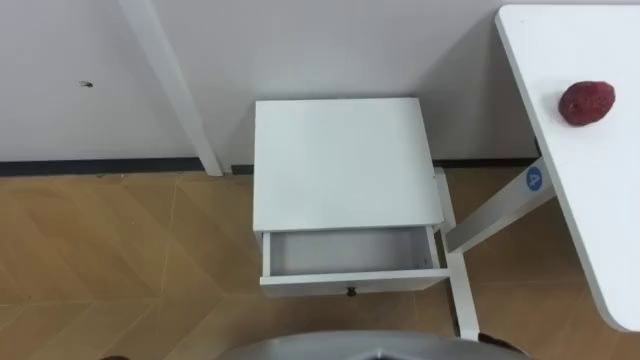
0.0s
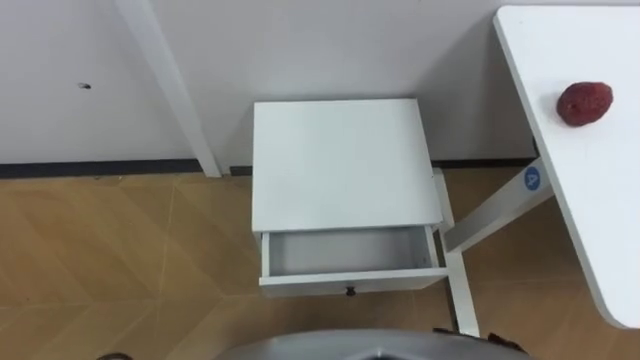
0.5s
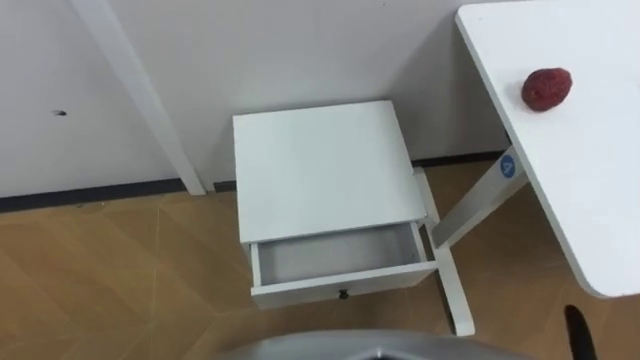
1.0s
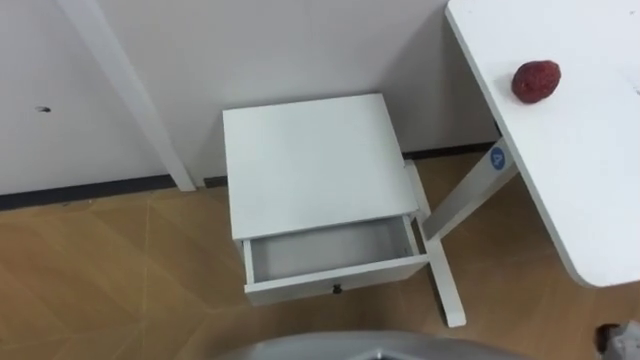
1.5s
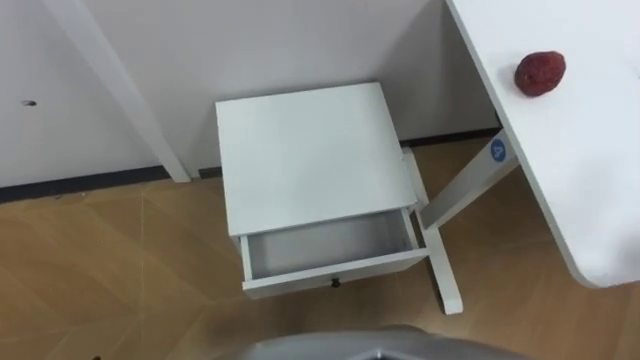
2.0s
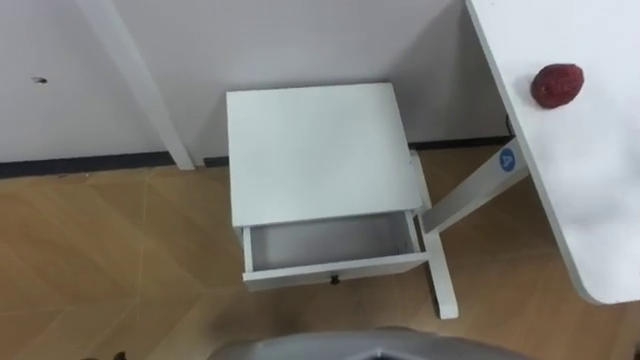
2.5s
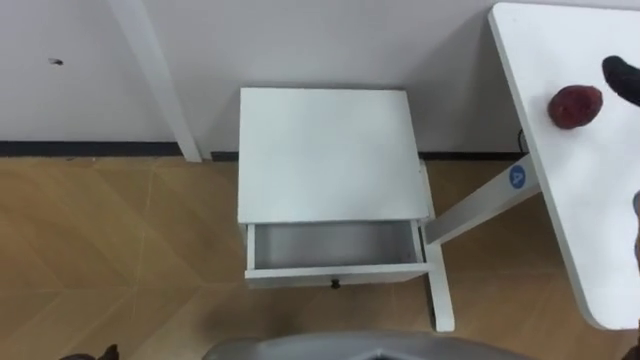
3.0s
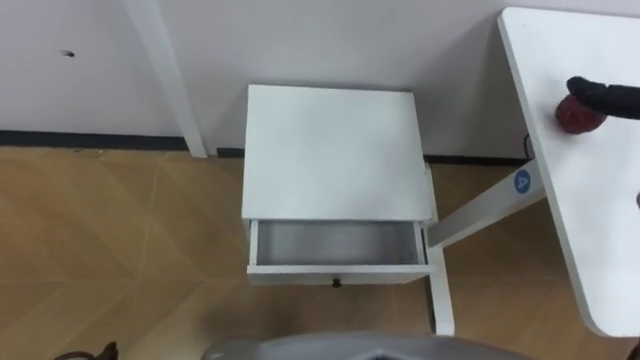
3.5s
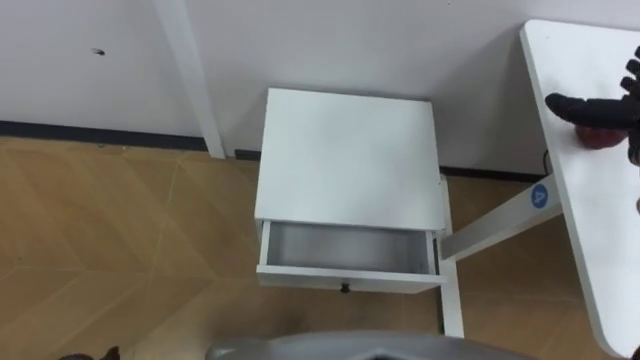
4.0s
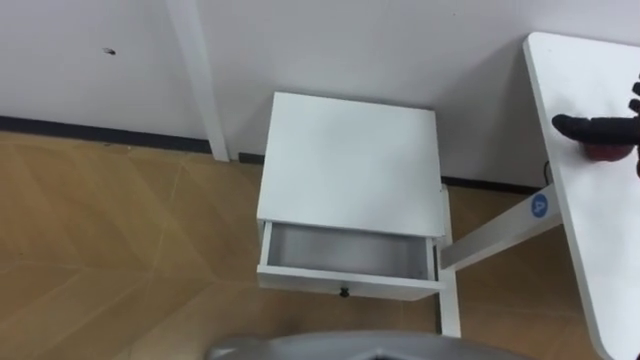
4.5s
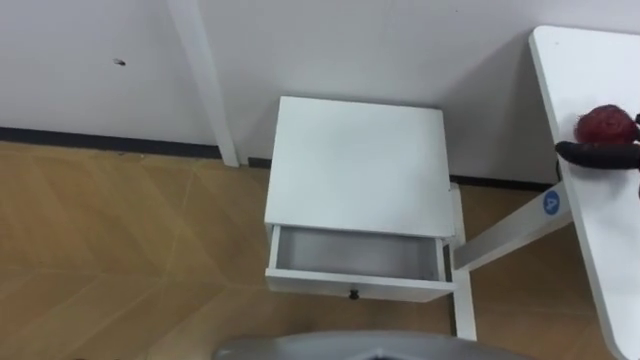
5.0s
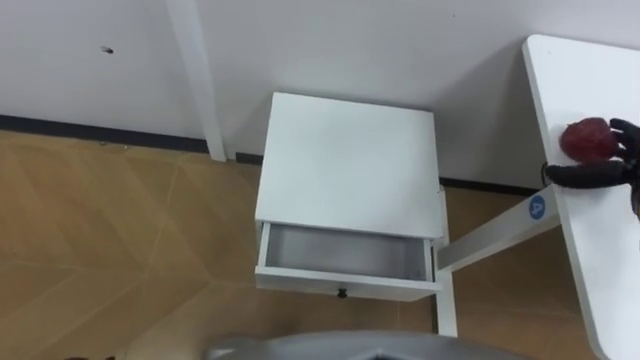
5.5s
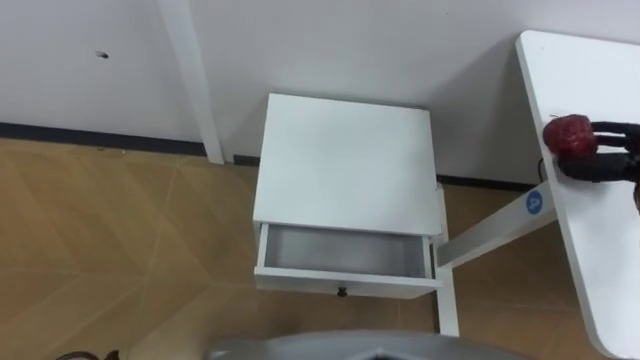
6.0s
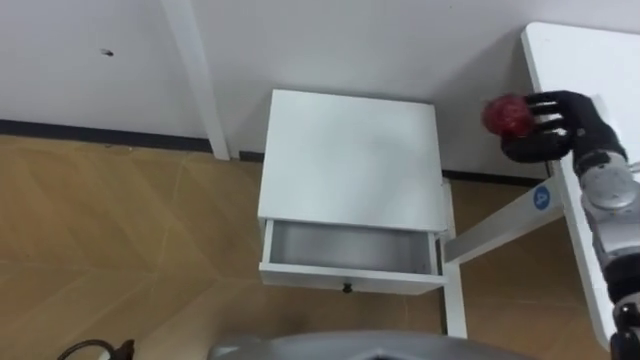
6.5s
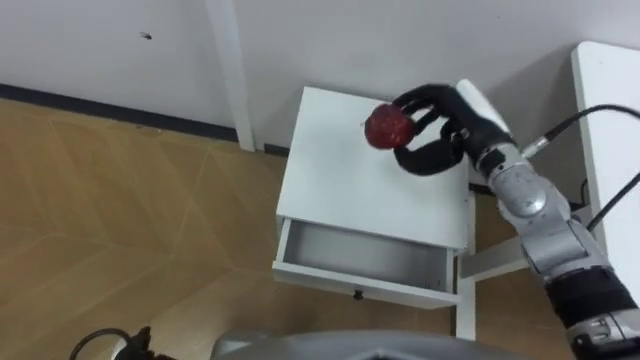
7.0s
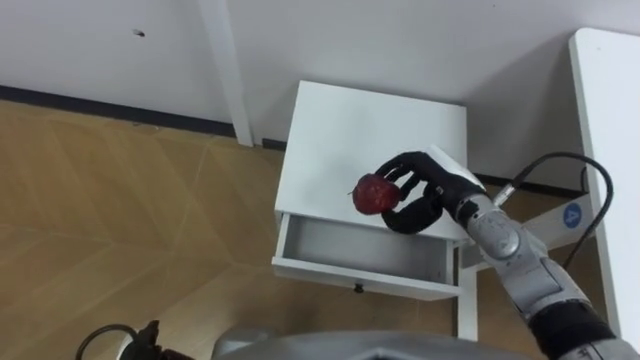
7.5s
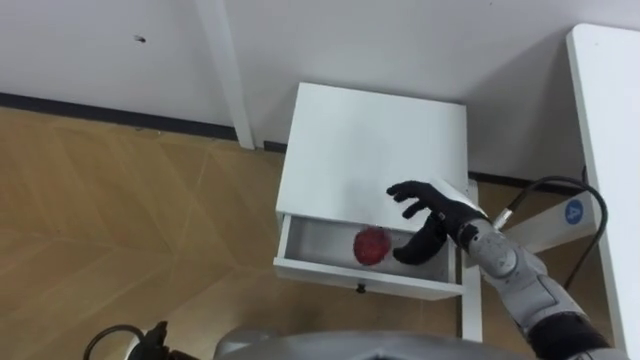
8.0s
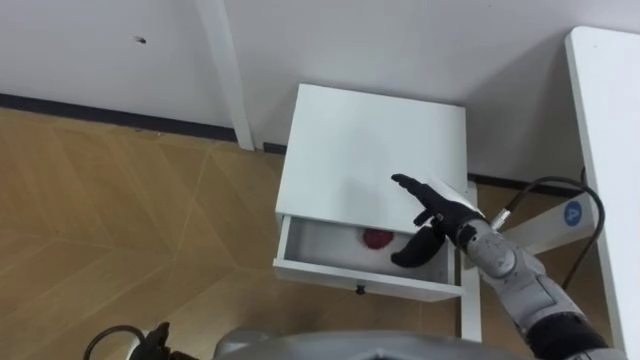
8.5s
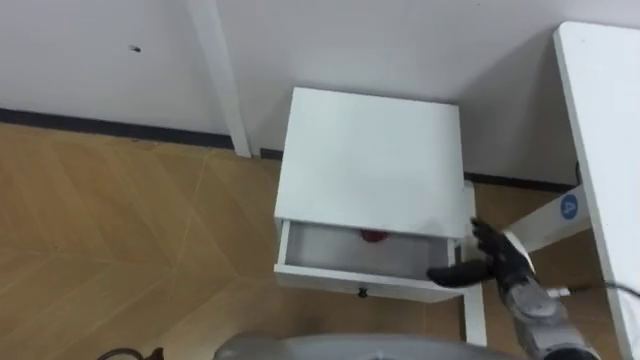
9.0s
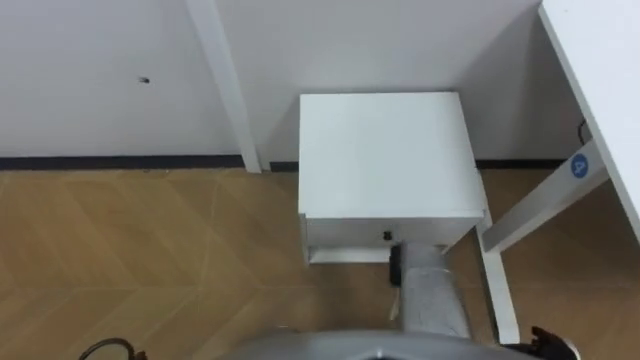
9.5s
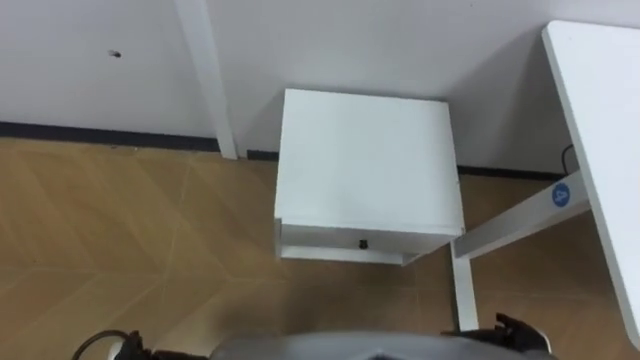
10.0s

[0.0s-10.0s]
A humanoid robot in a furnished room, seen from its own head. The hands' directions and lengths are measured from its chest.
Task of the whole recording: Pick up the apple from the table, put it in the drawer, and close the drawer with leg.
8.0s to 10.0s: The right hand moves backward, downward and to the right, roughly 25 cm.

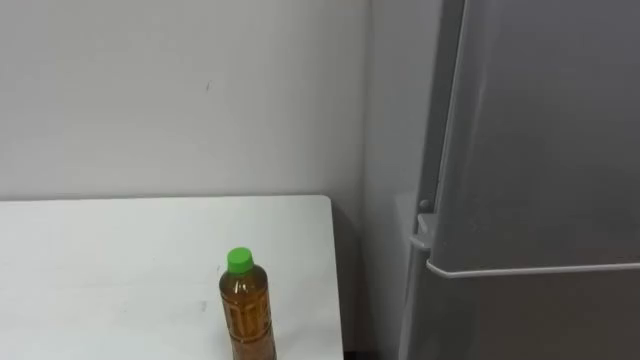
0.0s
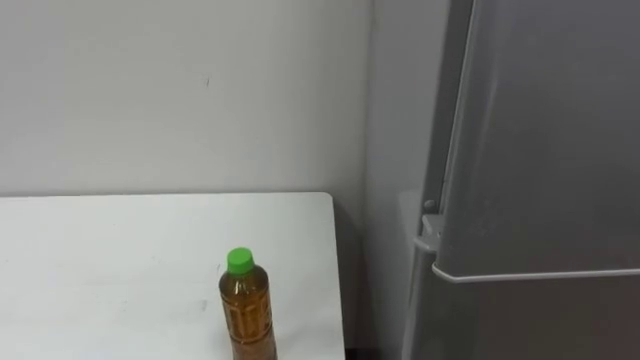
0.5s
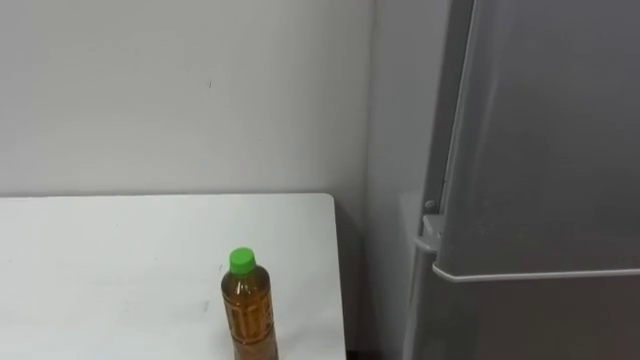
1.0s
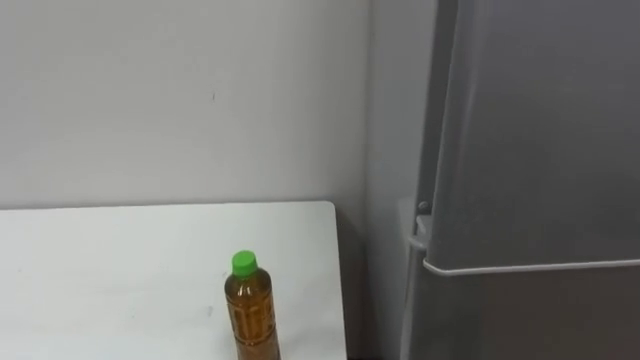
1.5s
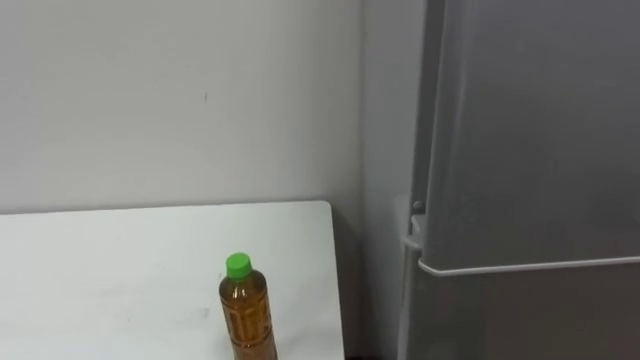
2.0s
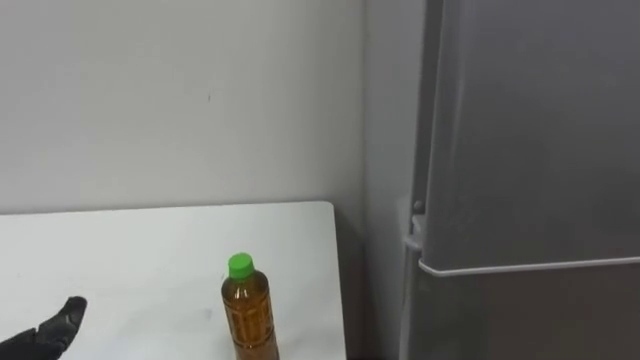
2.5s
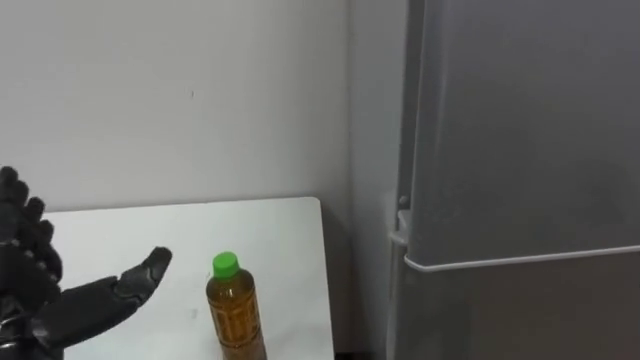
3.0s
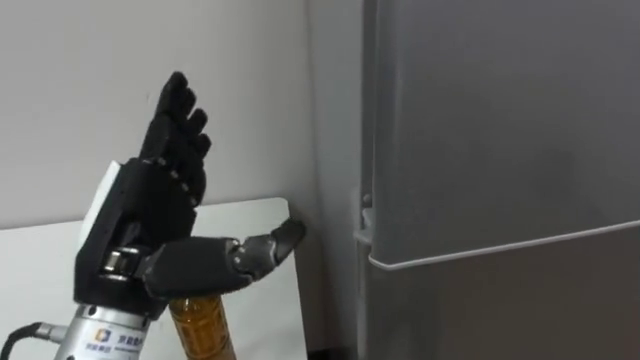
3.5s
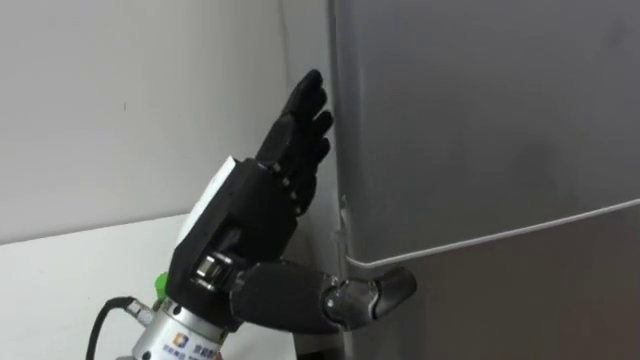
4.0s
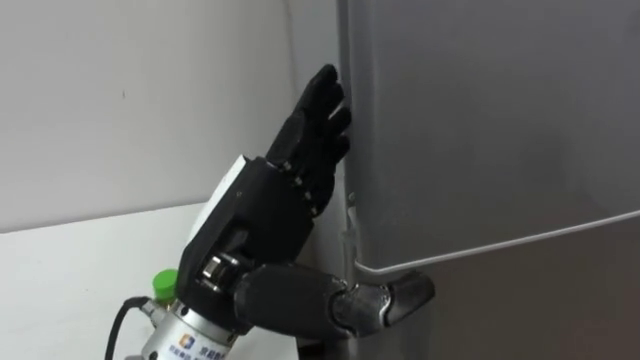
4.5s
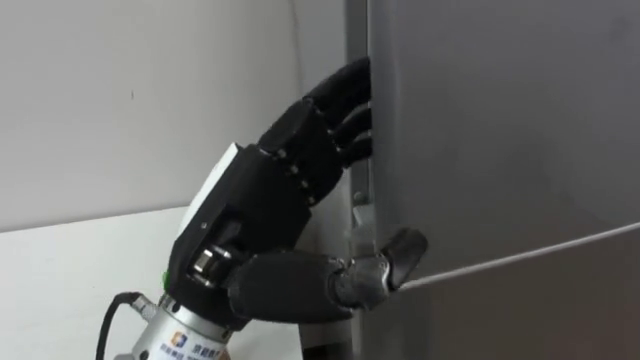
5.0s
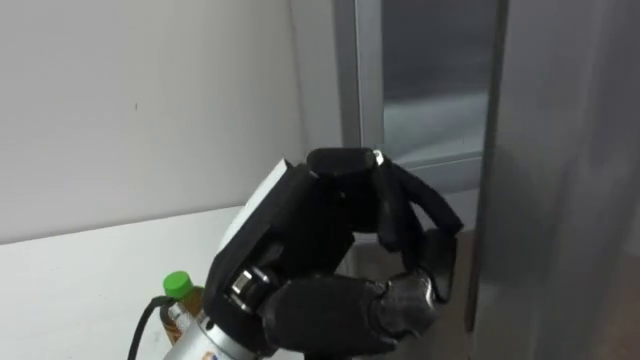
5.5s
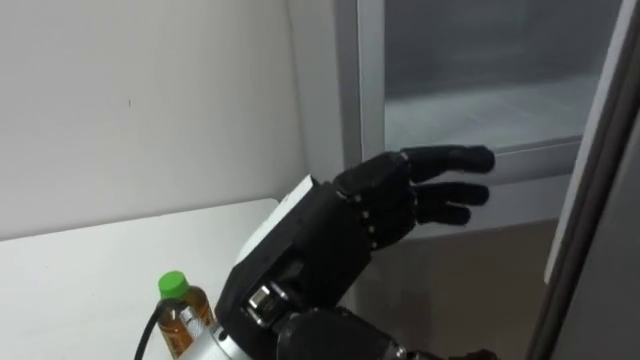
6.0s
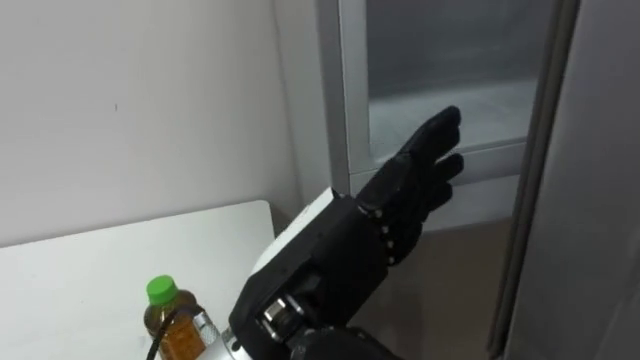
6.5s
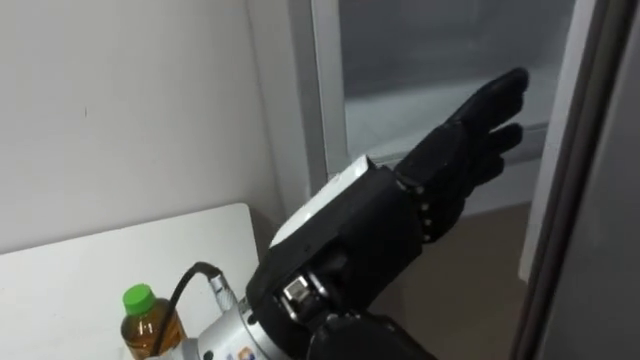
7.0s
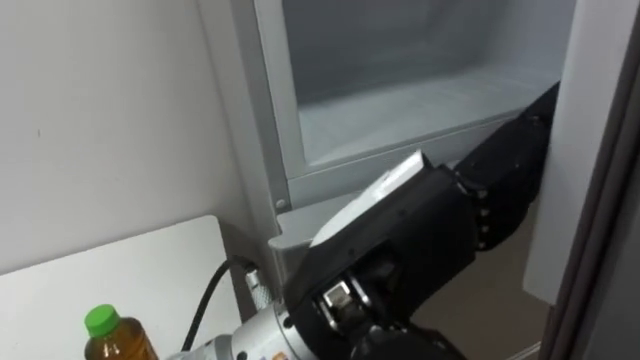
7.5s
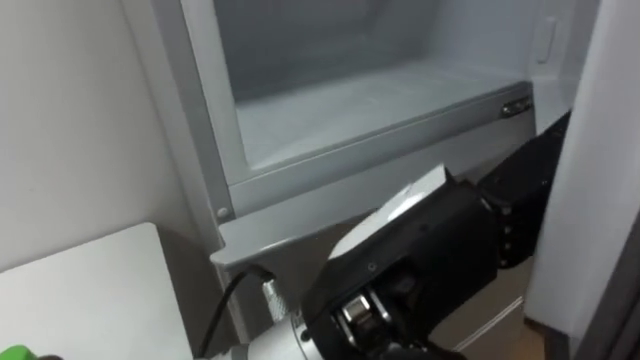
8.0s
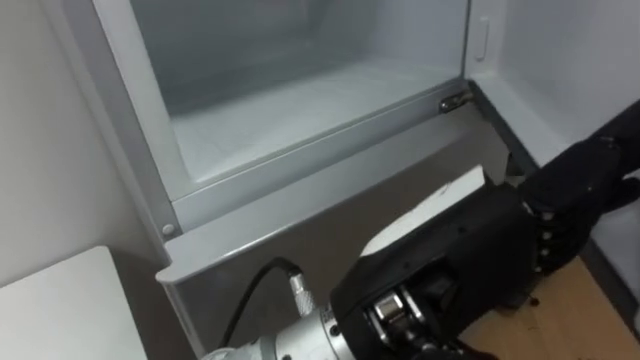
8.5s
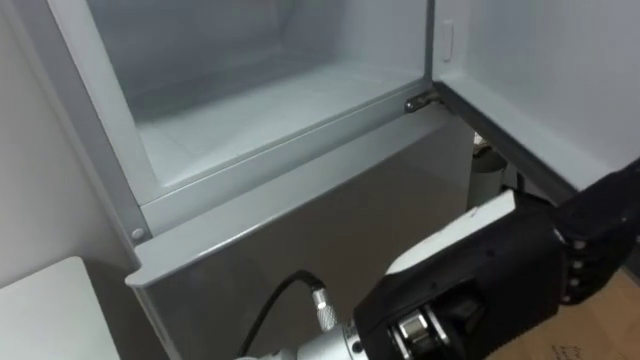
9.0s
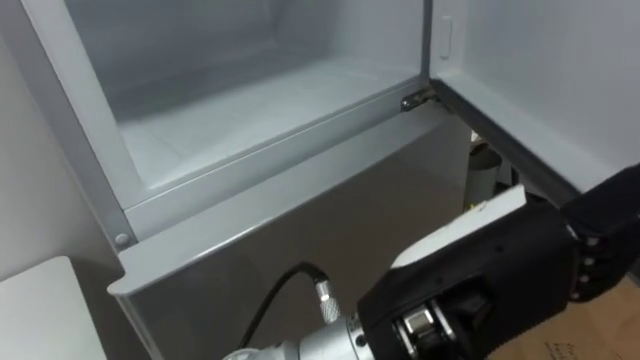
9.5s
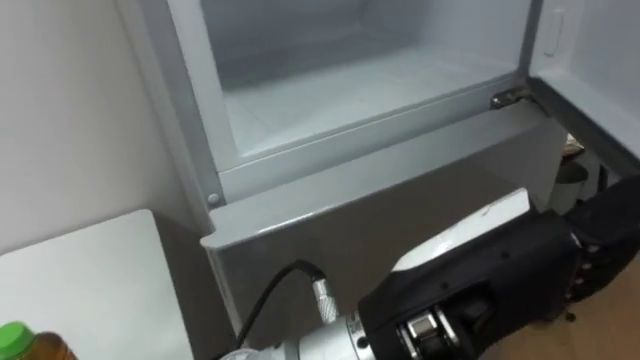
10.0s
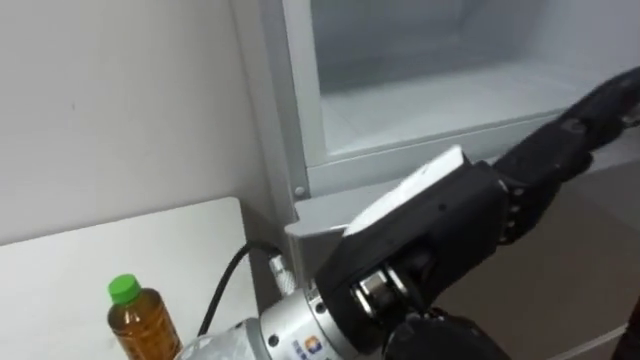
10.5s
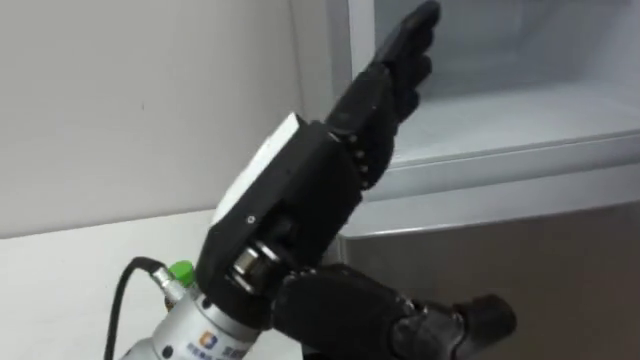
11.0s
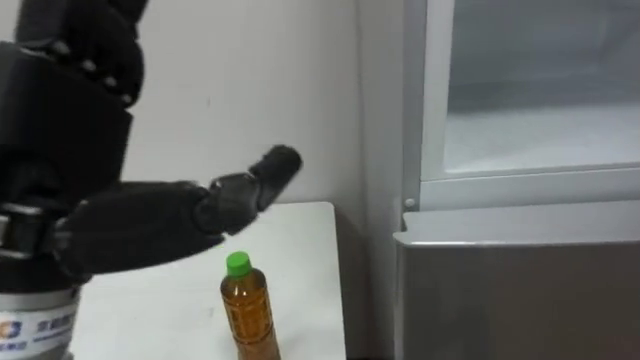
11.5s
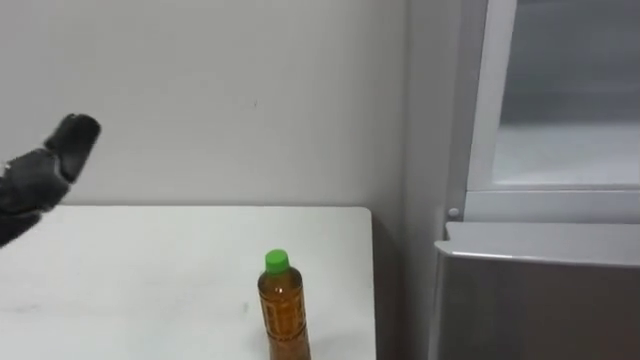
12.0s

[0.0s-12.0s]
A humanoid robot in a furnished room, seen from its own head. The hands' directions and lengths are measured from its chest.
Task of the whole recording: Open the upper refrigerator door, put the drink from the table into the refrigerator, and then close the refrigerator door.
4.0s to 6.0s: The left hand ends up about 5 cm from where it was, and closes and opens again.
6.0s to 8.0s: The left hand heads to the right, covering roughly 5 cm.
